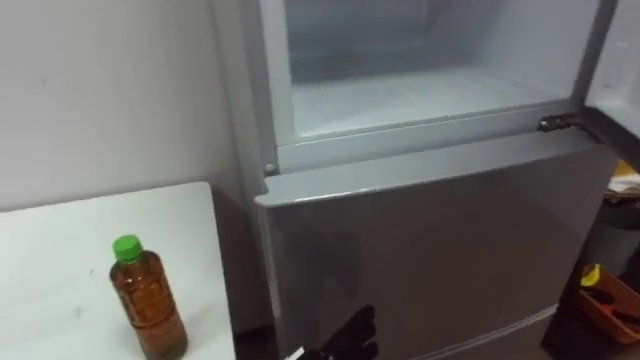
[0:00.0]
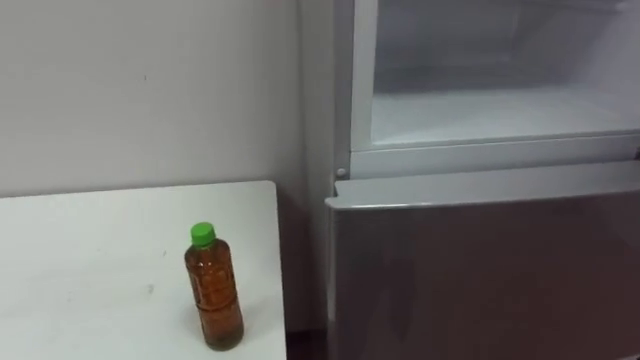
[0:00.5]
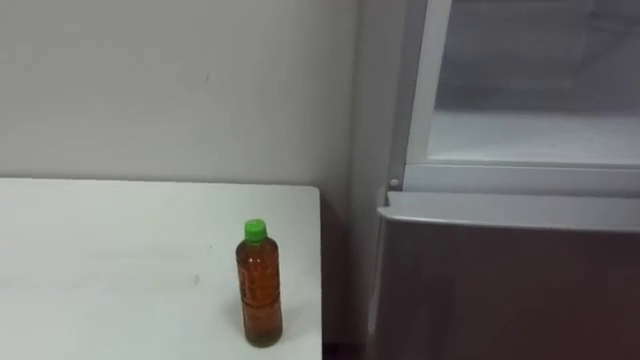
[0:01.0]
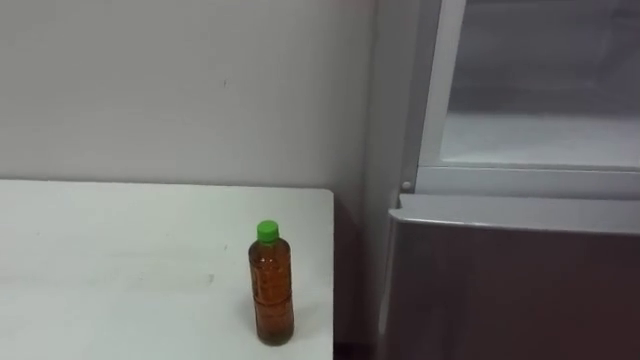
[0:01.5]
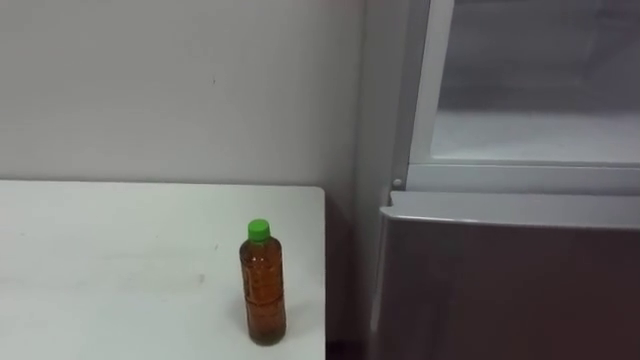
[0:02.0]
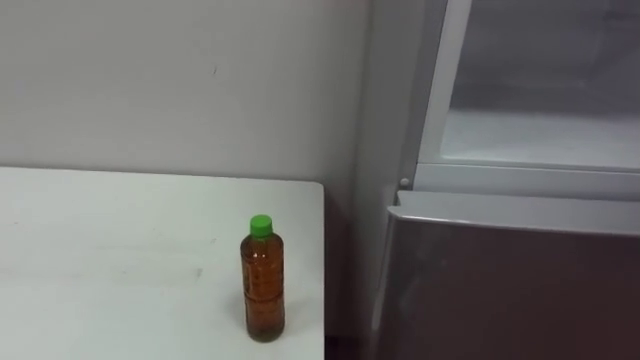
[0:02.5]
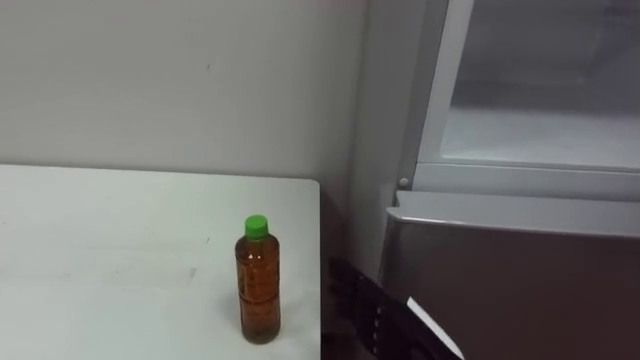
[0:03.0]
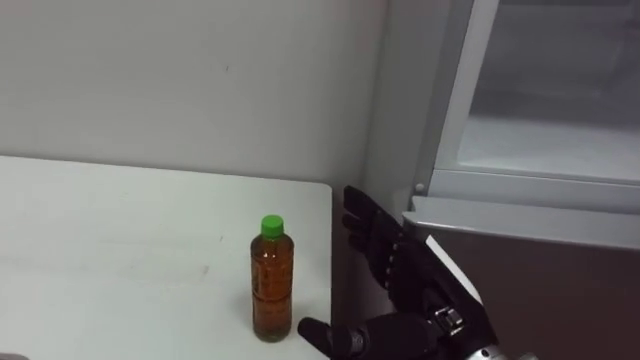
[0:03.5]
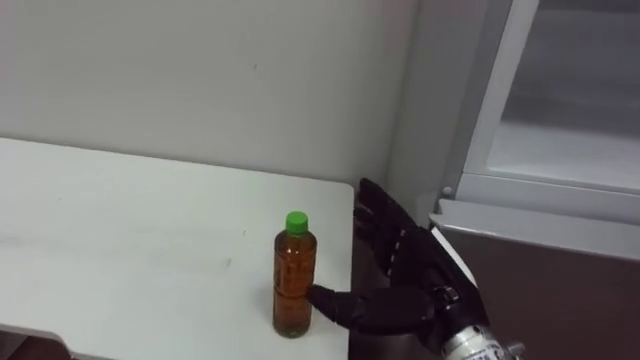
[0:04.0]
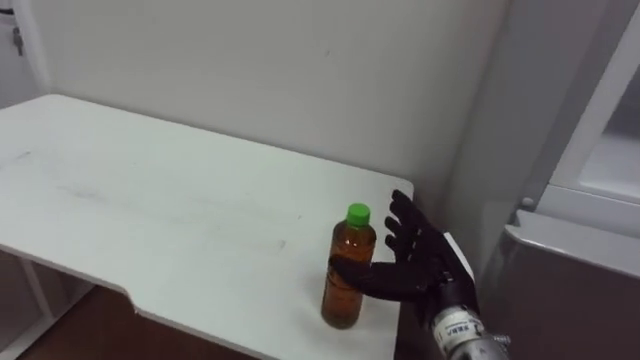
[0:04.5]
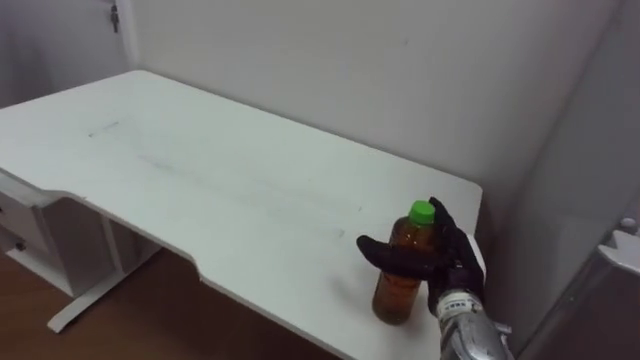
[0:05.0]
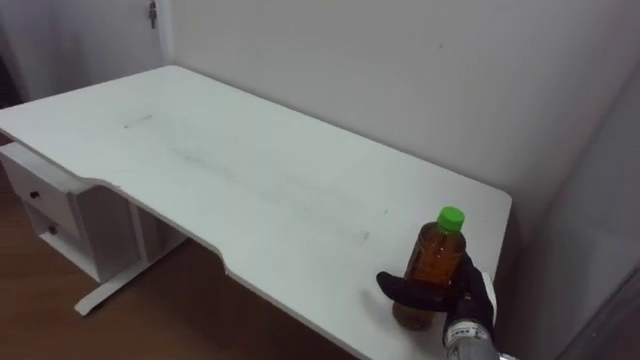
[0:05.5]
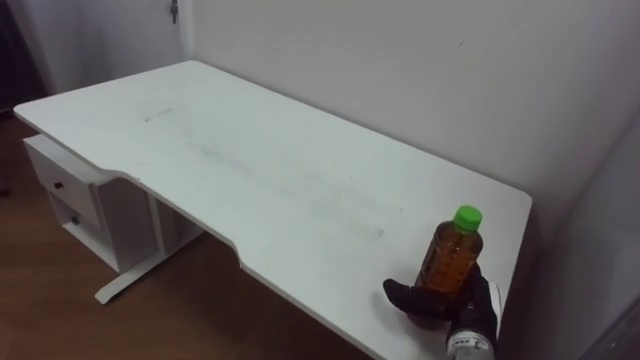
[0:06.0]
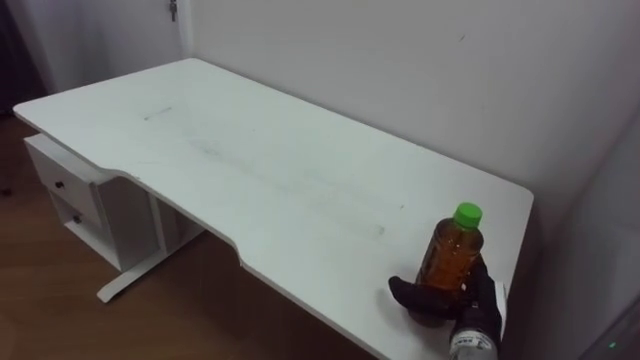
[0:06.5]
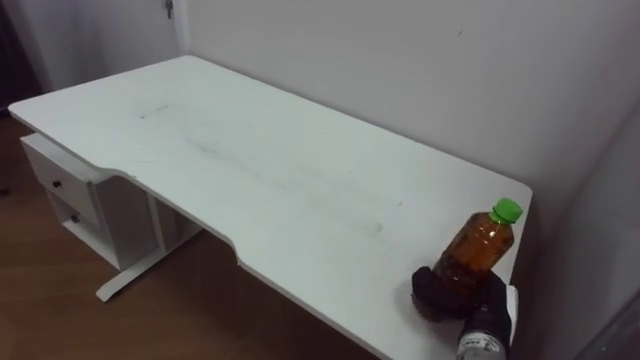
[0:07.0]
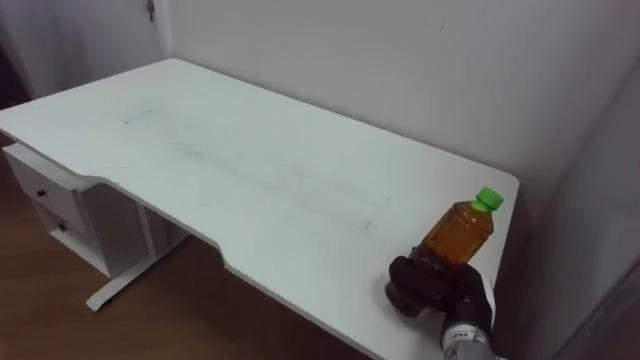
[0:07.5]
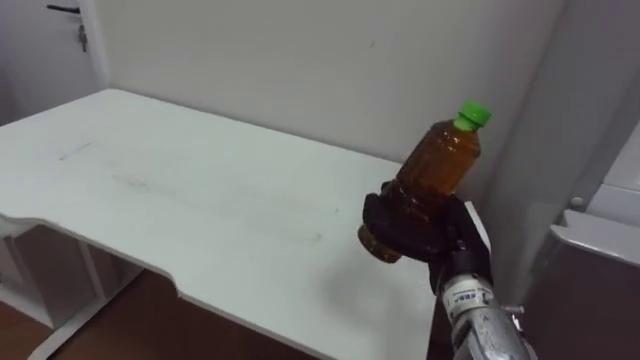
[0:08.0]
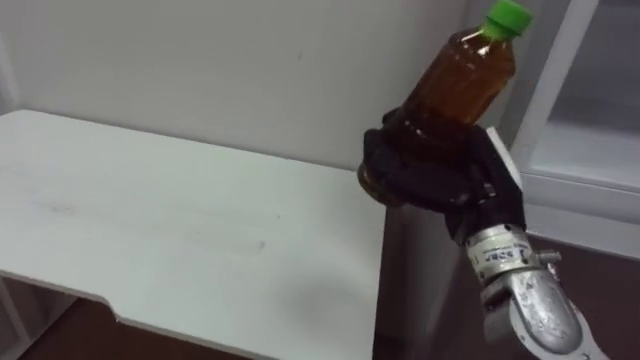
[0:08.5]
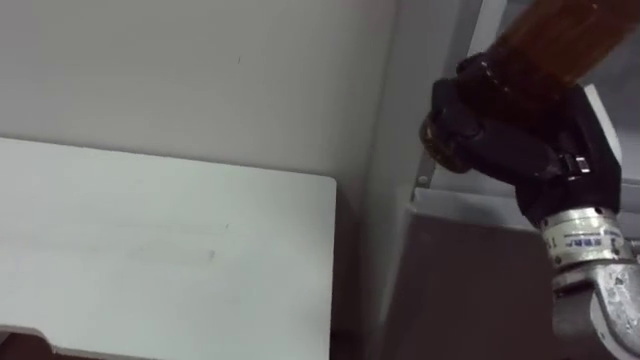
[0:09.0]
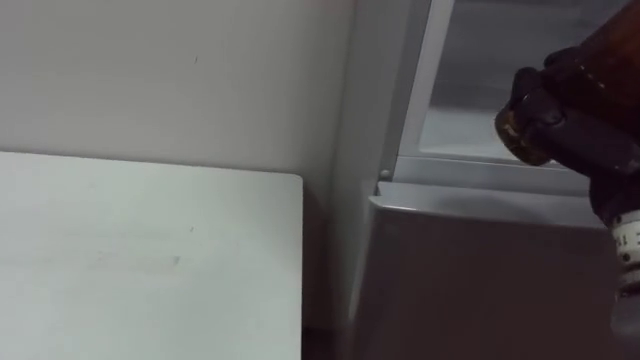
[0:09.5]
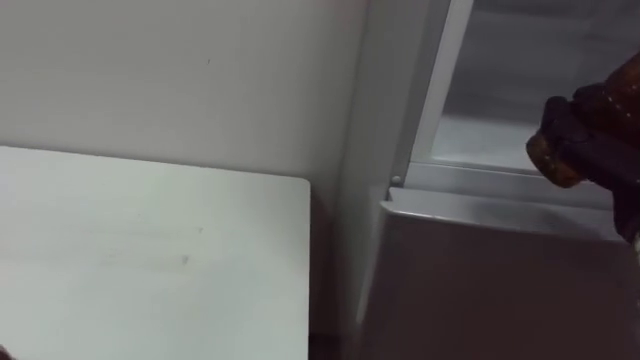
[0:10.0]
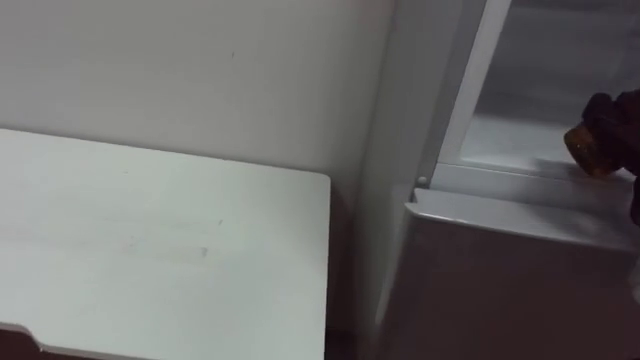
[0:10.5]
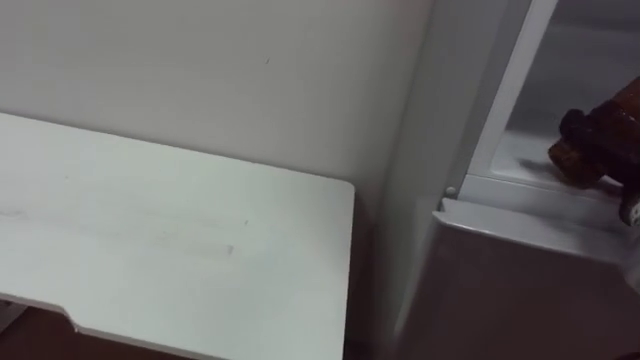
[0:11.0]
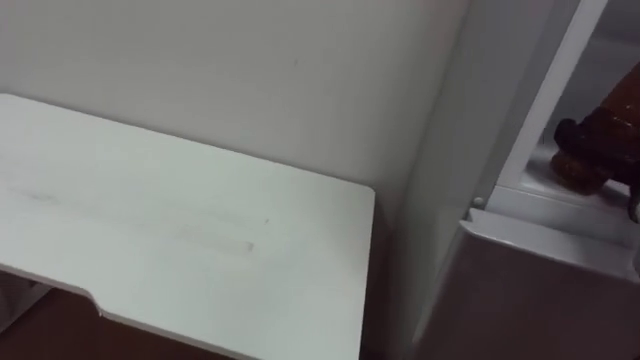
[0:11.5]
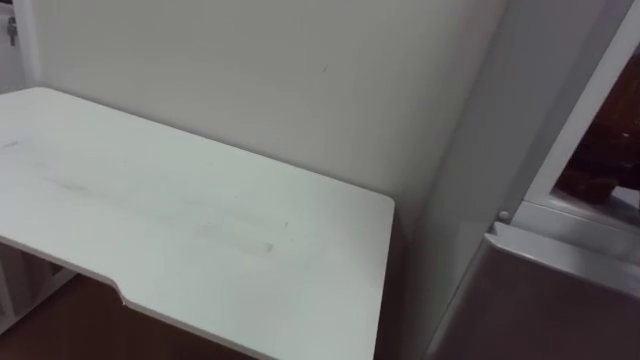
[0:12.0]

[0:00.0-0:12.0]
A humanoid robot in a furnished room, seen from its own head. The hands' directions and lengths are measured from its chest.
Task of the whole recording: Open the upper refrigerator door, put the drink from the table into the refrigerator, and then close the refrigerator door.
0:04.0 to 0:06.0: The right hand is displaced downward, to the right and forward by roughly 15 cm.
0:06.0 to 0:08.0: The right hand moves upward, some 10 cm, and closes its fingers.

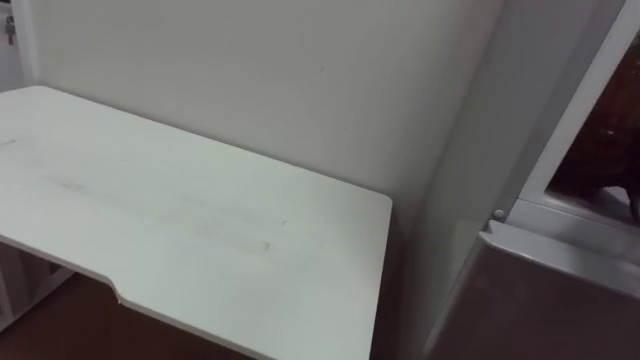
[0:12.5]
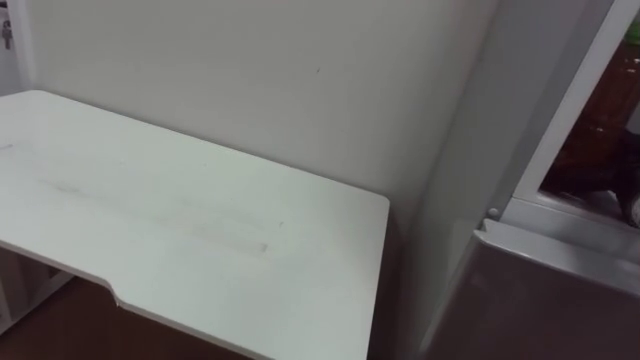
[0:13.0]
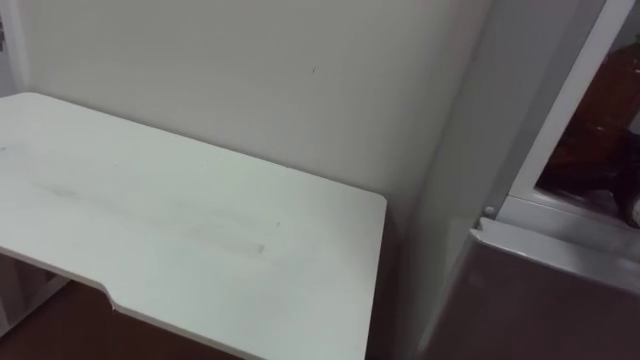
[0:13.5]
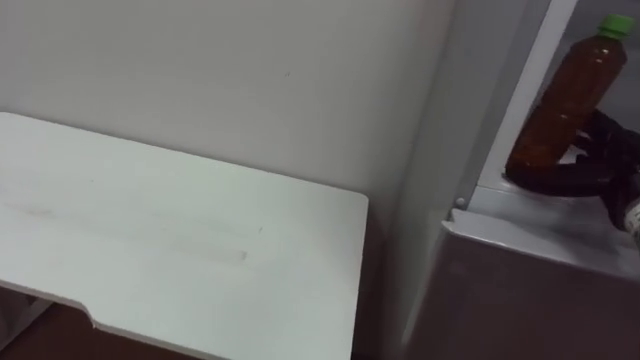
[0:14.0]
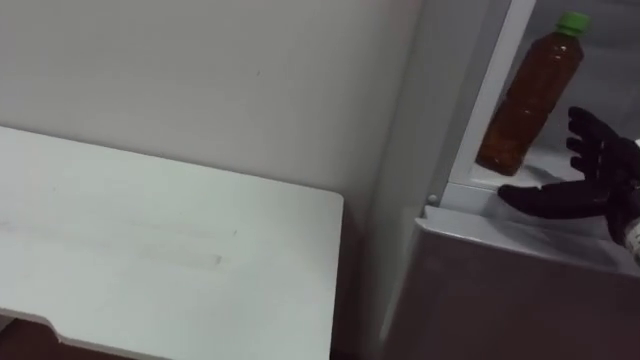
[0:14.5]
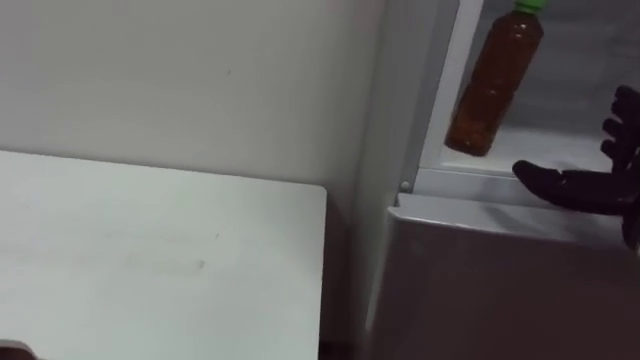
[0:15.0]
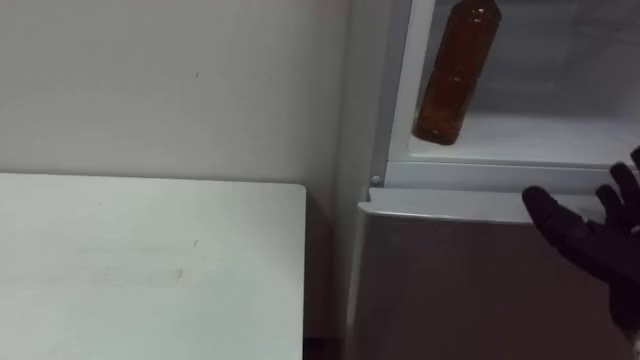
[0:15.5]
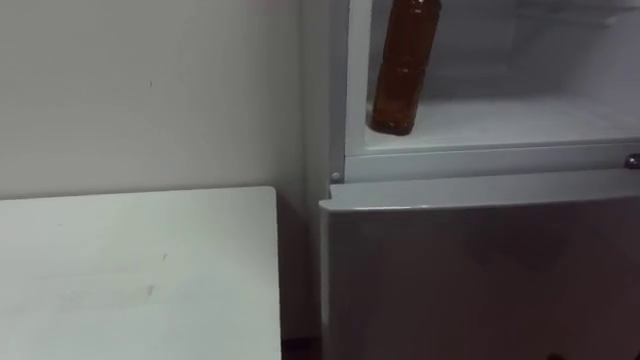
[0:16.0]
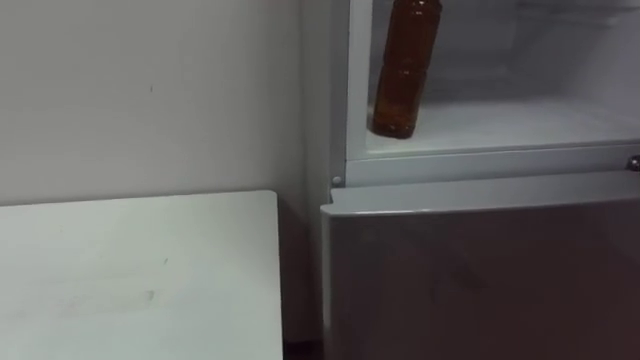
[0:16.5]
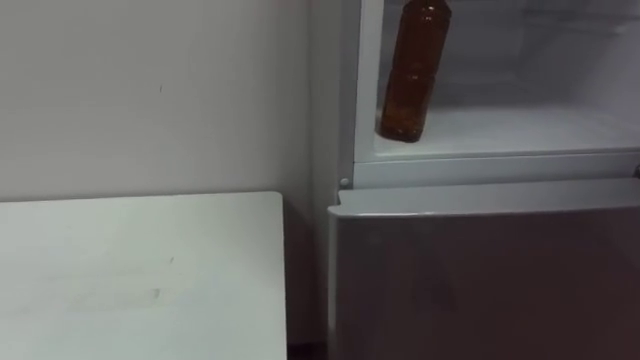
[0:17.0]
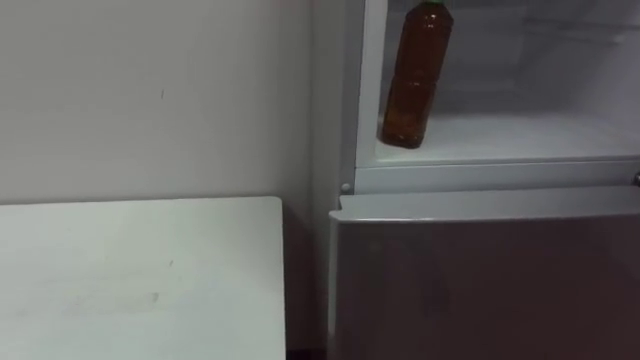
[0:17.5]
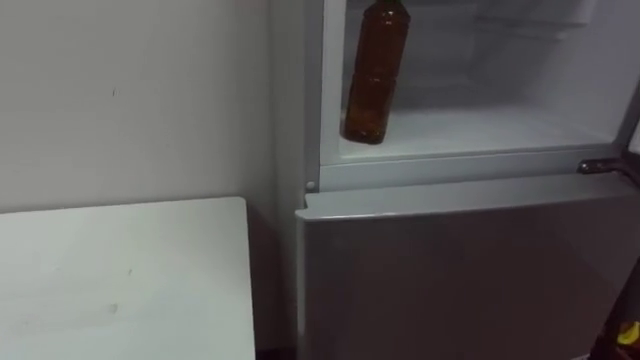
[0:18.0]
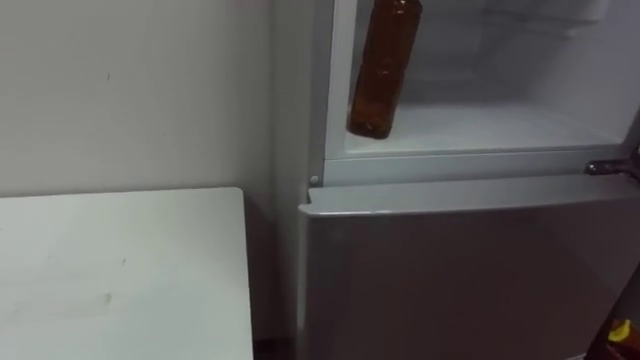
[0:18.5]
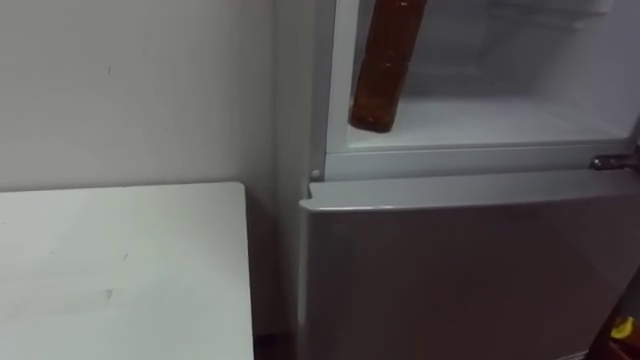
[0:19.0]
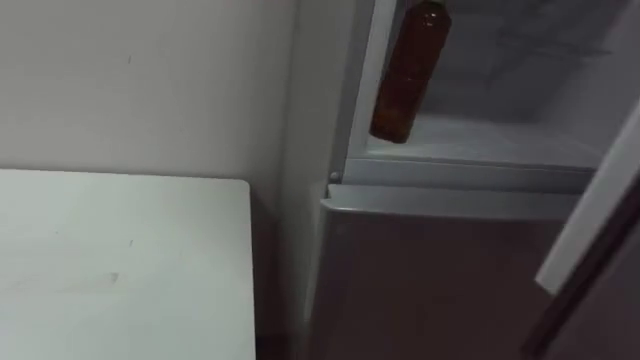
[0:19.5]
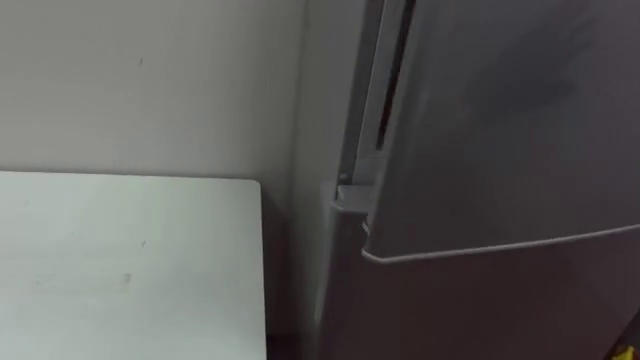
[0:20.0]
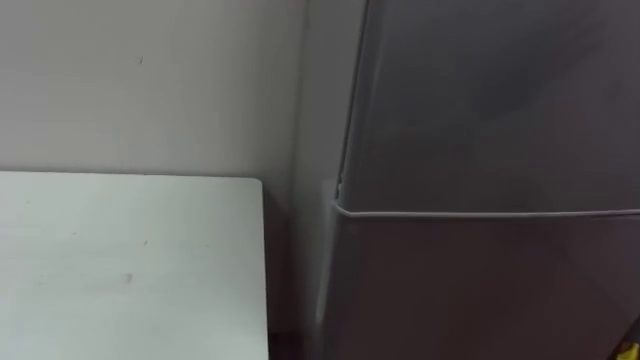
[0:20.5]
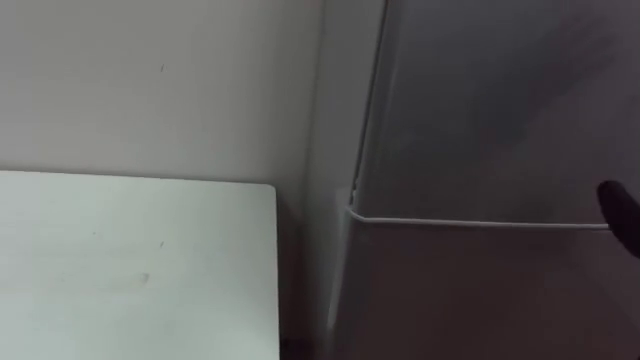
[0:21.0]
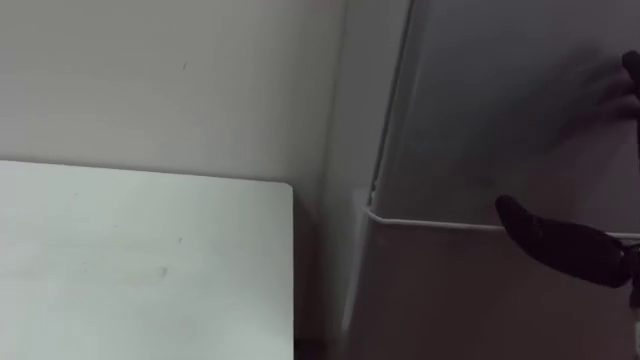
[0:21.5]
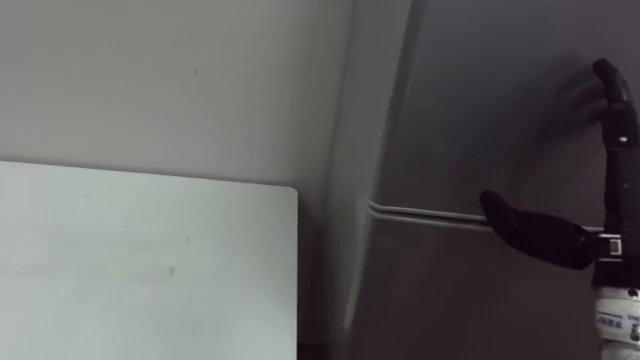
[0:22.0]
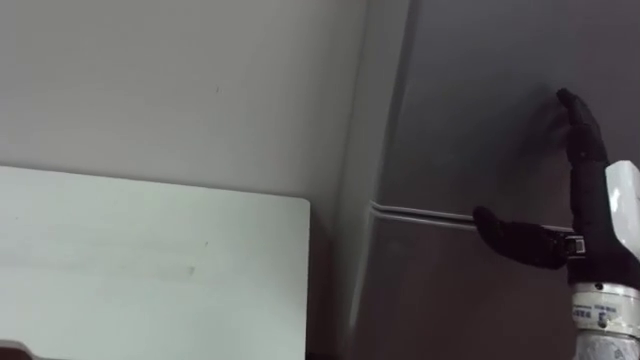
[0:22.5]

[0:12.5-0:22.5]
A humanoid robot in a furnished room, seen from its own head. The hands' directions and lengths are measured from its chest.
Task of the whole recording: Open the upper refrigerator door, put the drink from the table into the refrigerator, and then close the refrigerator door.
0:12.5 to 0:14.5: The right hand moves approximately 5 cm.
